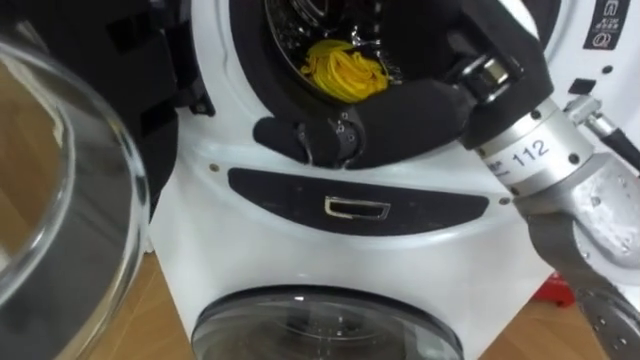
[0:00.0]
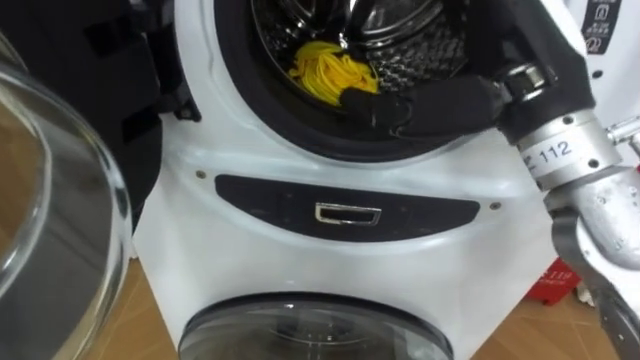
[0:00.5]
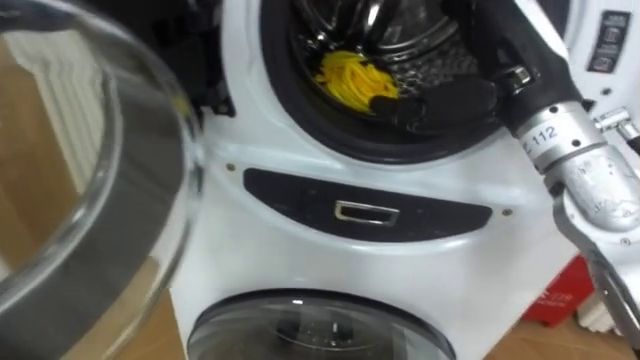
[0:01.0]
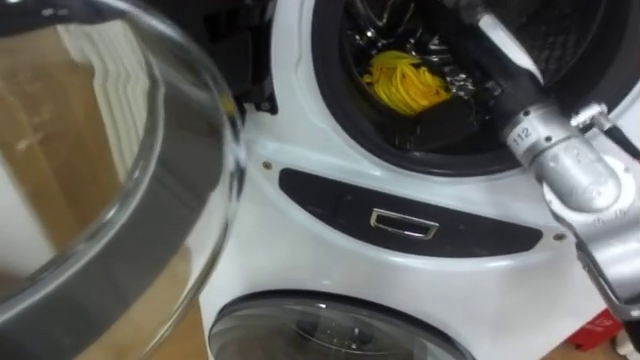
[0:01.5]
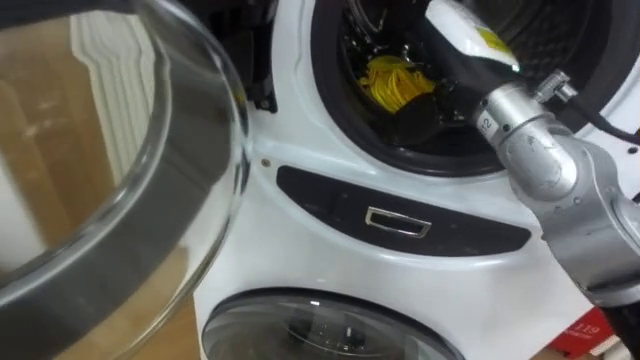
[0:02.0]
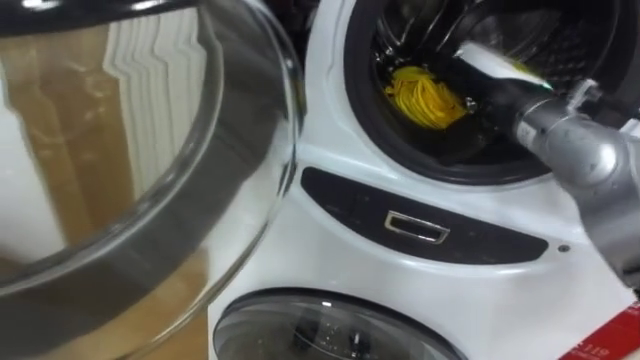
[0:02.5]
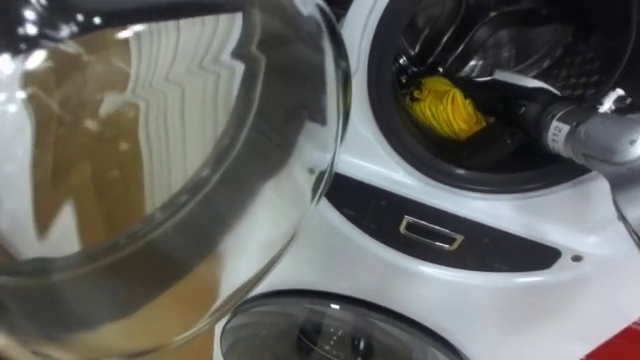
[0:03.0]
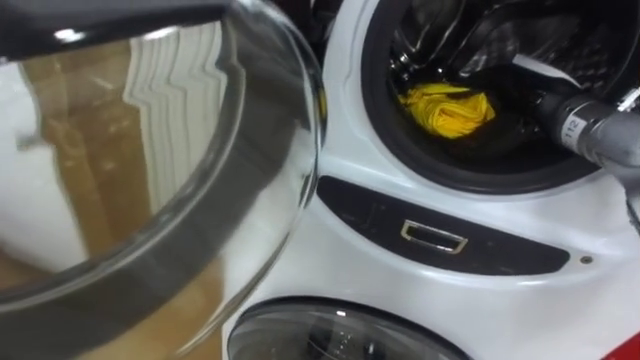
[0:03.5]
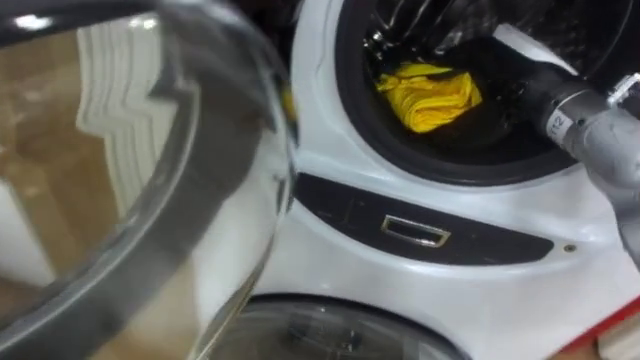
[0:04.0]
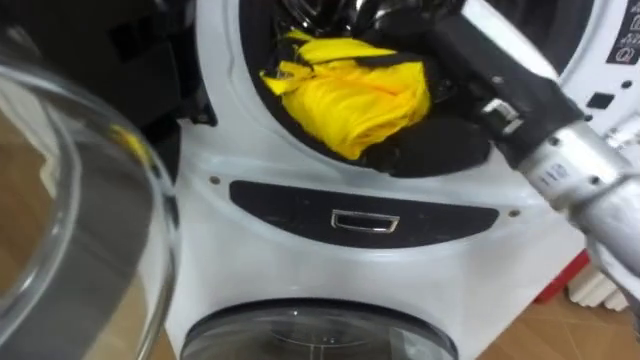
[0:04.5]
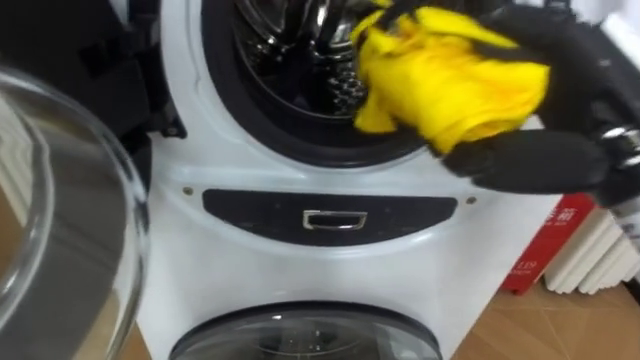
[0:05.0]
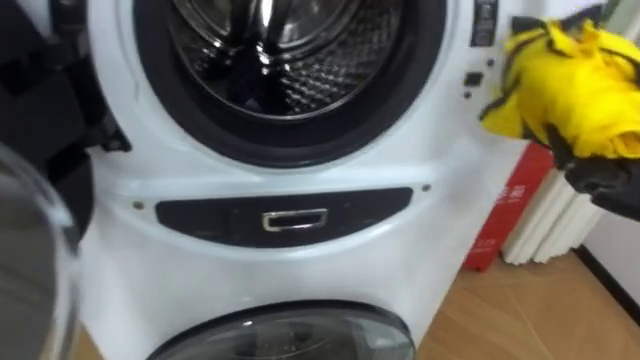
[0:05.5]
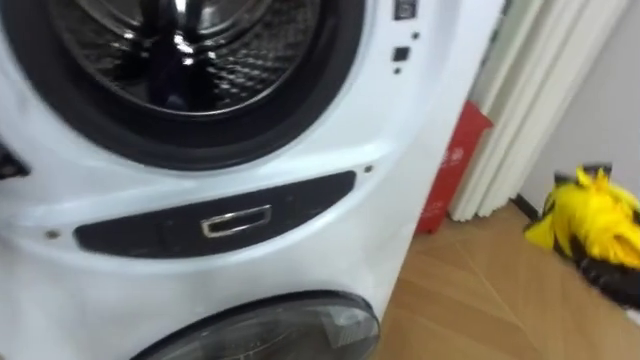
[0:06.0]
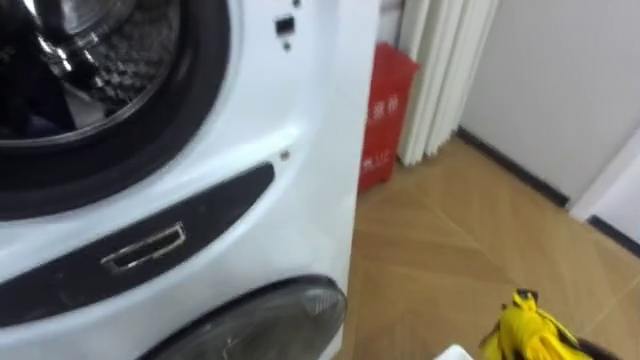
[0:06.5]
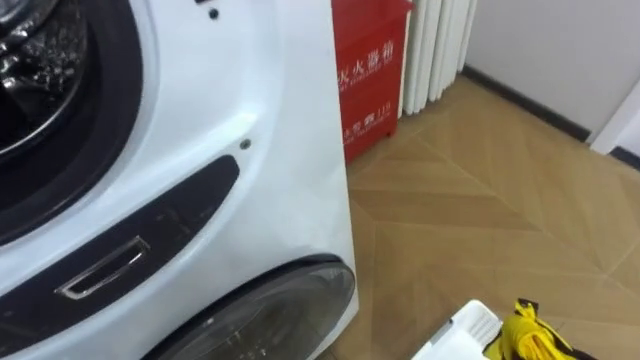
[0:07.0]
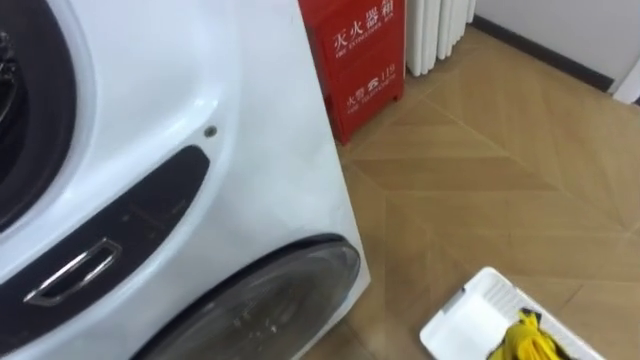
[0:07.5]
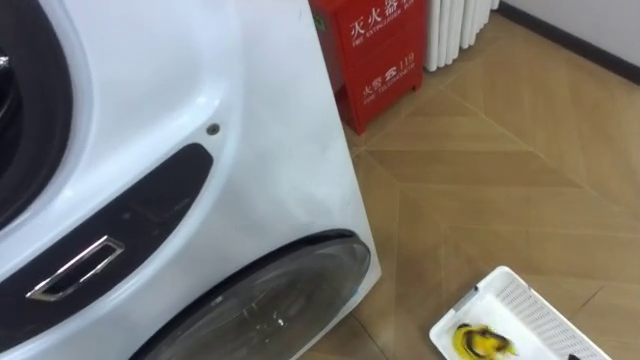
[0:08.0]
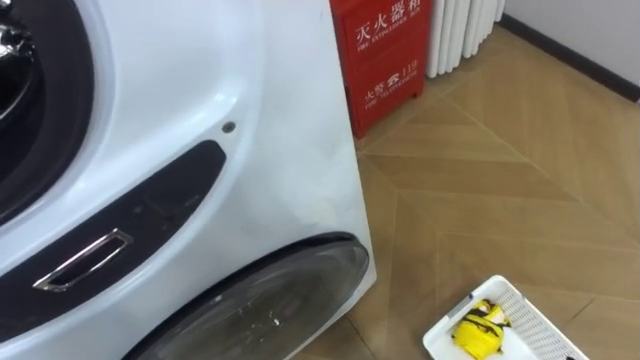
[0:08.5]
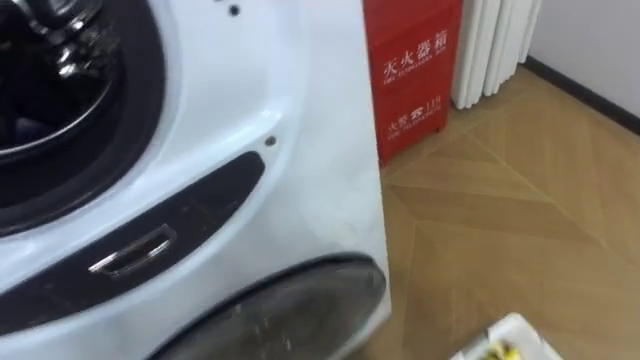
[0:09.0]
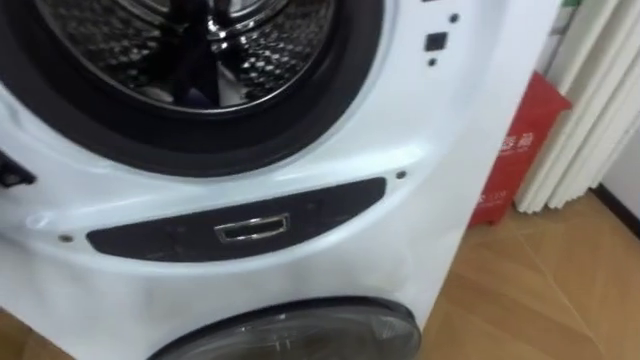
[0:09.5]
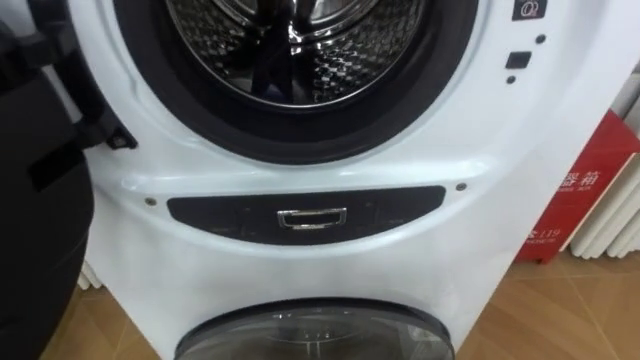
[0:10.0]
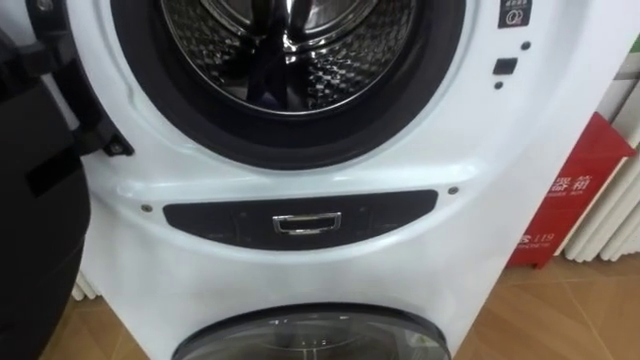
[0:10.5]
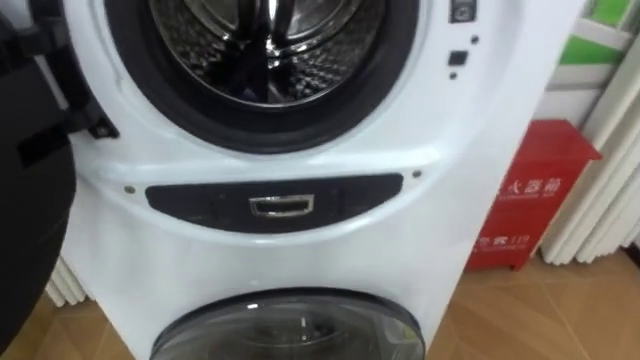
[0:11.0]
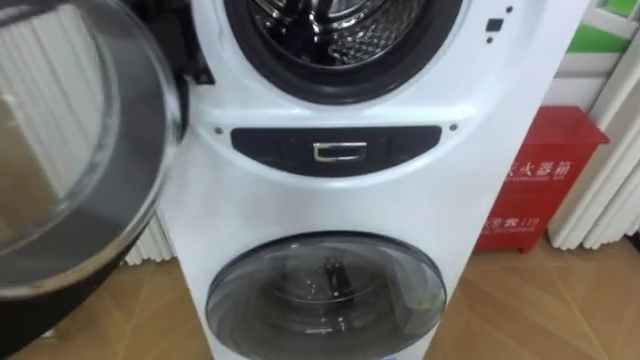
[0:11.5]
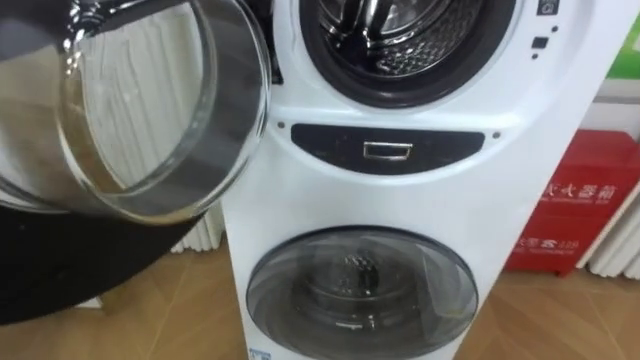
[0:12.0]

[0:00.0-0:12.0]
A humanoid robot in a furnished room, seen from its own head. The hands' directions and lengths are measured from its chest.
Task of the whole recording: Open the washing machine door, take out the yellow clothes, place them in the box on the right, and close the washing machine door.
0:00.0 to 0:02.0: The right hand shifts about 15 cm forward and downward.
0:02.0 to 0:04.0: The right hand goes roughly 5 cm to the right, and closes up.
0:08.0 to 0:10.0: The robot's body swings some 20 degrees to its left.

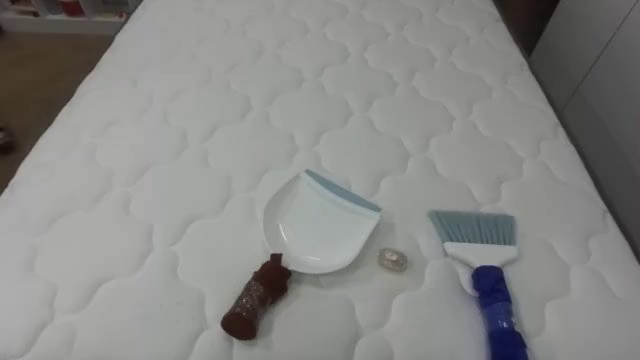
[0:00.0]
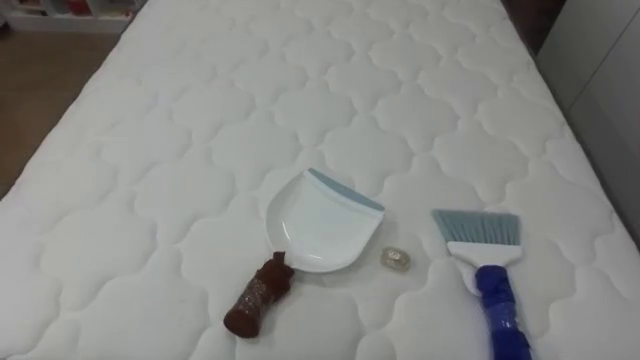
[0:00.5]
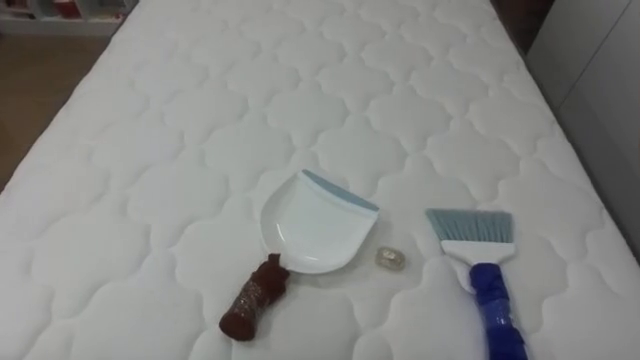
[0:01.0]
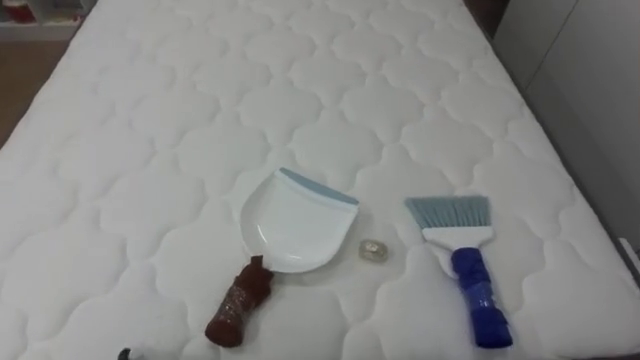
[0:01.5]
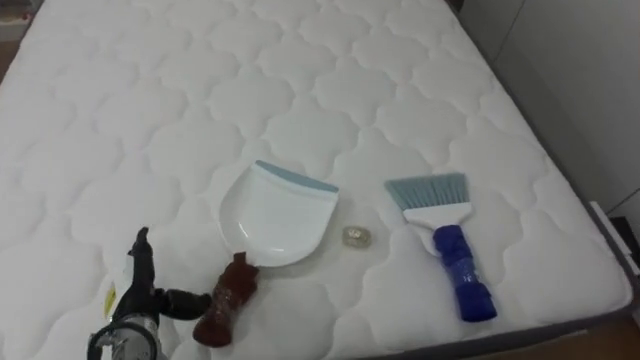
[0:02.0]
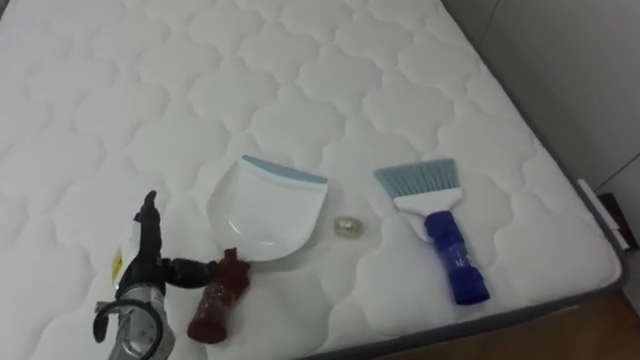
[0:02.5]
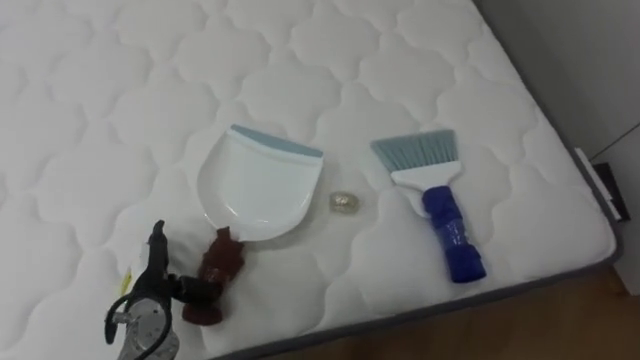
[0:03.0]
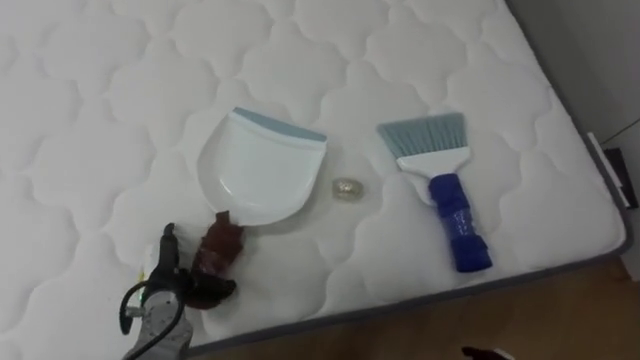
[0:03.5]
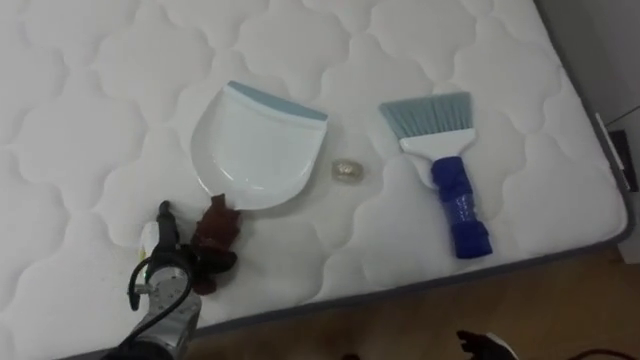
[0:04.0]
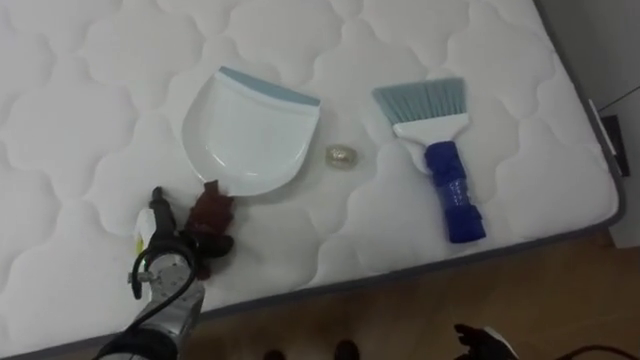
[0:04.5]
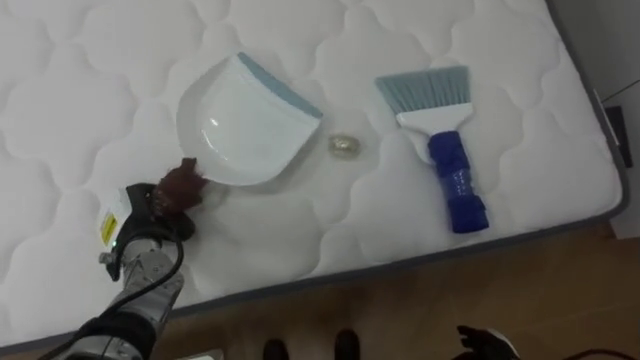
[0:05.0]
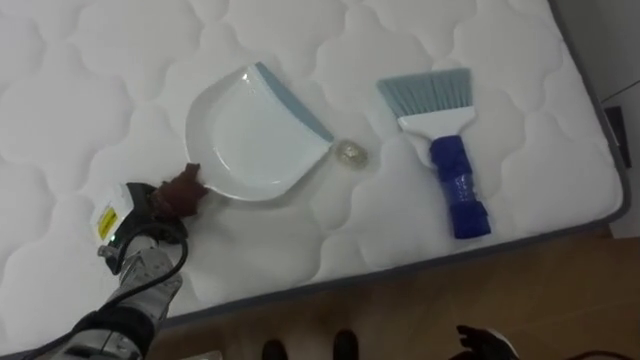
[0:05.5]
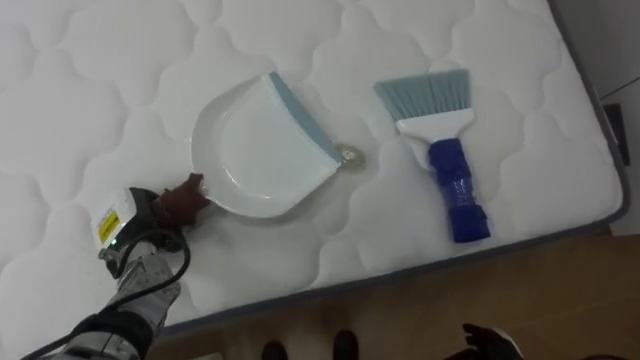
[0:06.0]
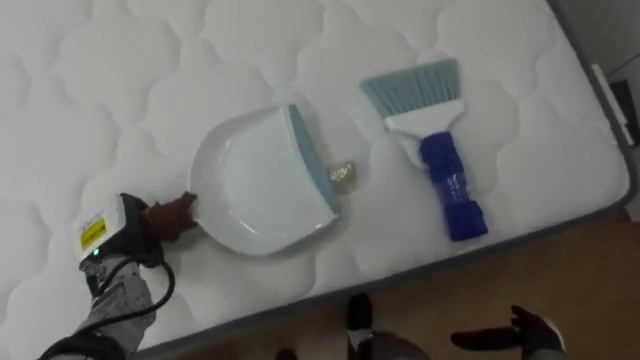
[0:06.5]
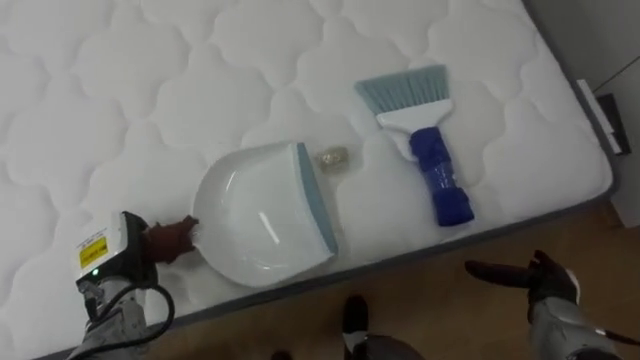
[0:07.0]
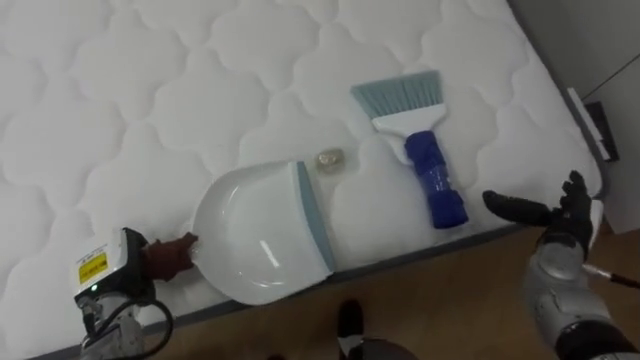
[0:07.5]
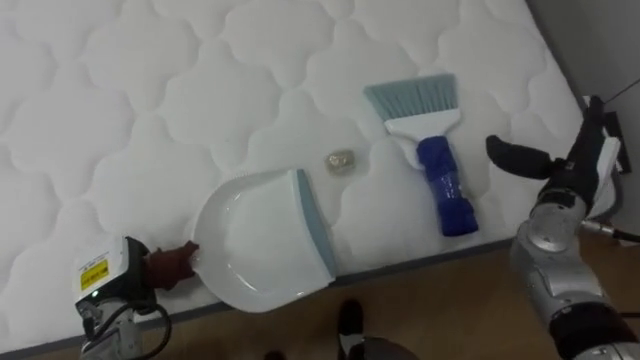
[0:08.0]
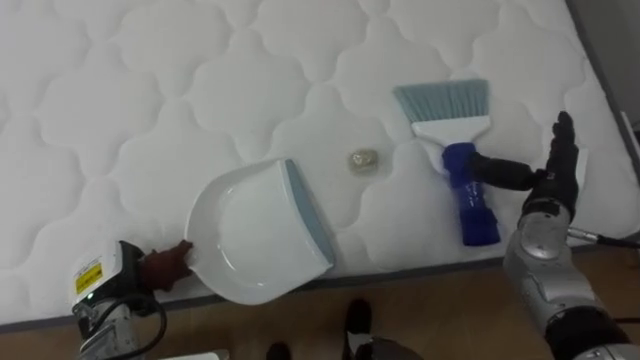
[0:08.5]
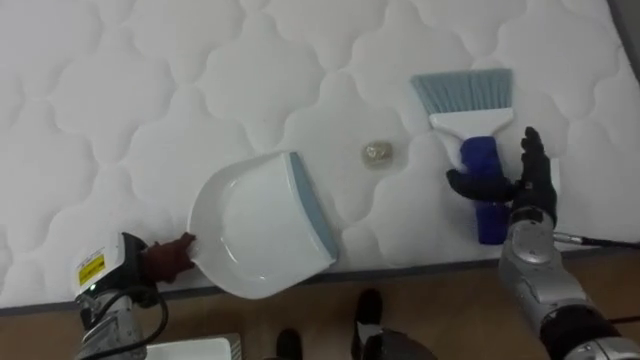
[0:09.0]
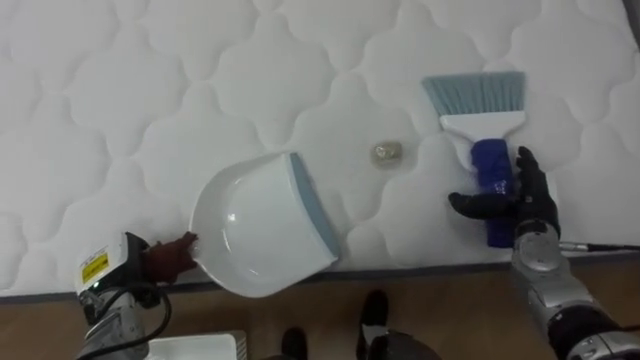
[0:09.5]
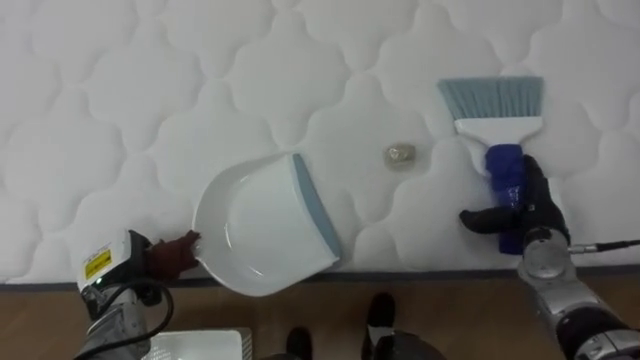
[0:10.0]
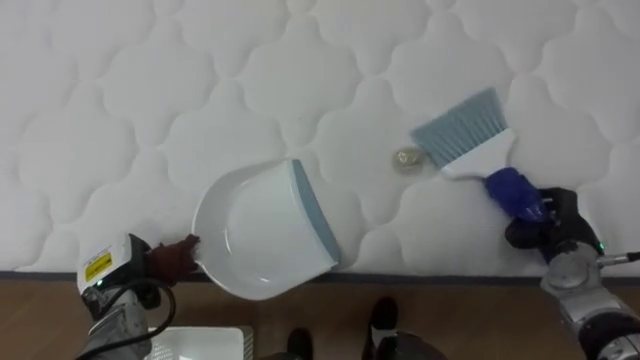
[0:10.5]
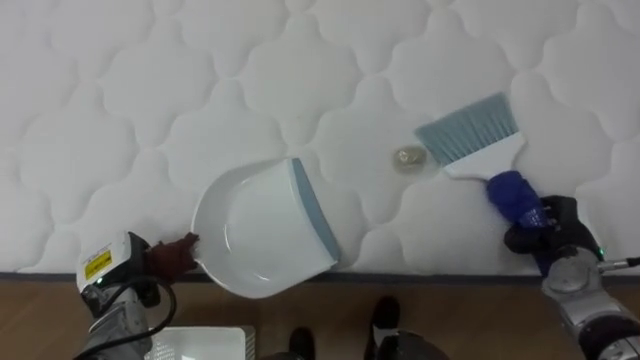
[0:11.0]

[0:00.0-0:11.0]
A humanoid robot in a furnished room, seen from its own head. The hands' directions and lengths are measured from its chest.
Task of the whole recording: Pick up the brush on your right and the dustpan on your left. Use the brush to sweep the crumpled paper on the bed into the dustpan, then turn left and empty it into the basket.
0:03.5 to 0:05.5: The left hand goes roughly 10 cm forward and upward, and closes.
0:05.5 to 0:07.5: The left hand moves backward, roughly 5 cm.
0:07.5 to 0:09.0: The right hand shifts by approximately 5 cm.
0:09.0 to 0:11.0: The right hand travels to the right and downward by roughly 10 cm, and closes its fingers.